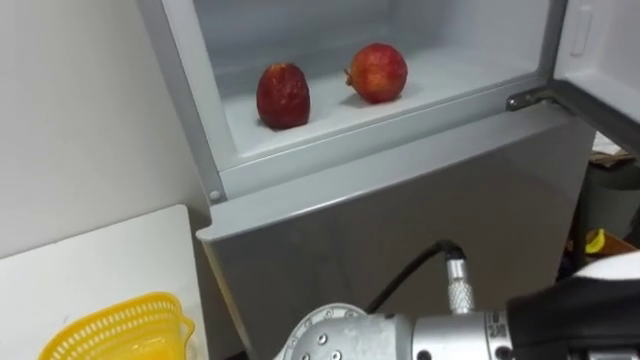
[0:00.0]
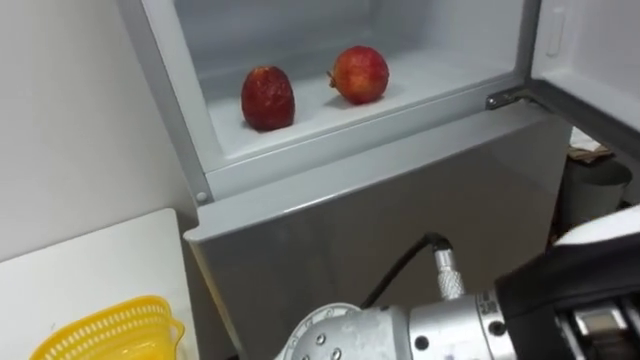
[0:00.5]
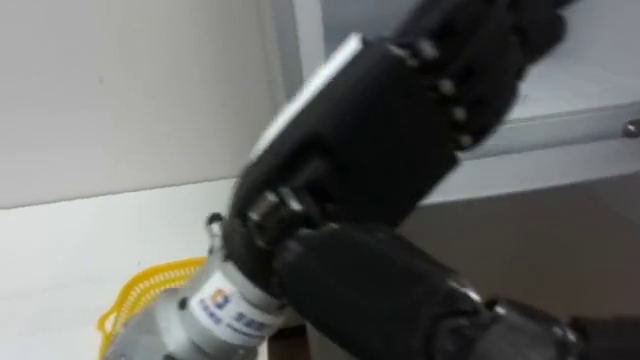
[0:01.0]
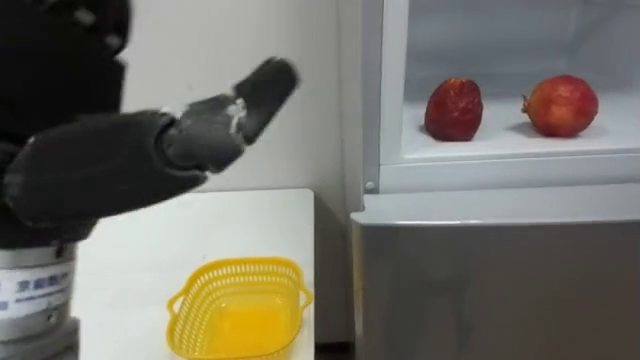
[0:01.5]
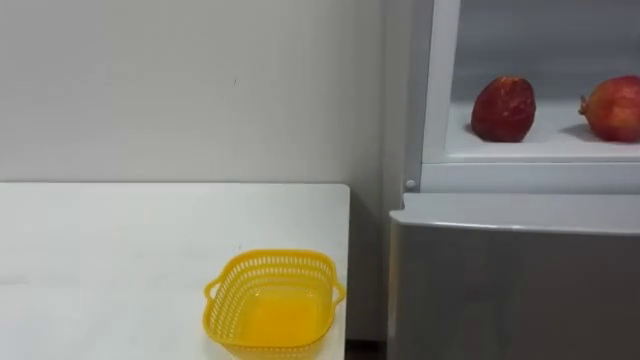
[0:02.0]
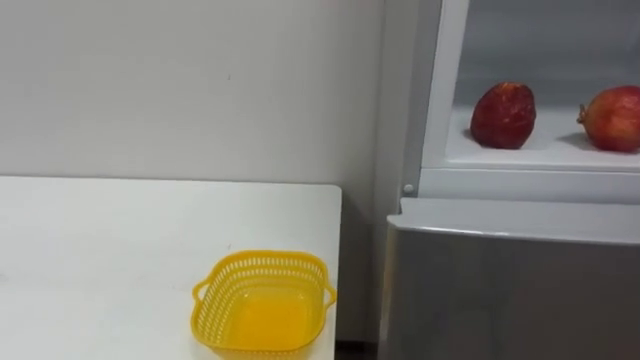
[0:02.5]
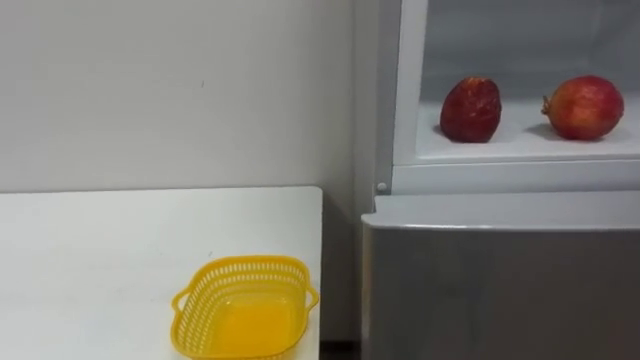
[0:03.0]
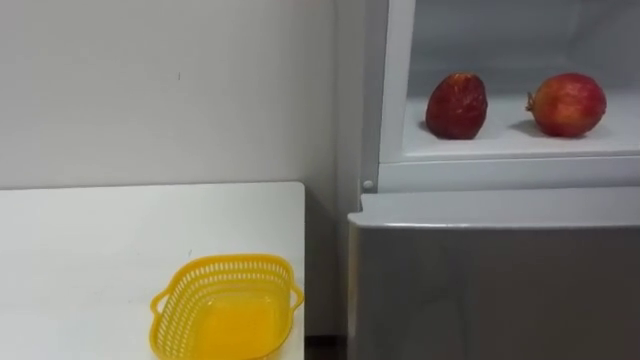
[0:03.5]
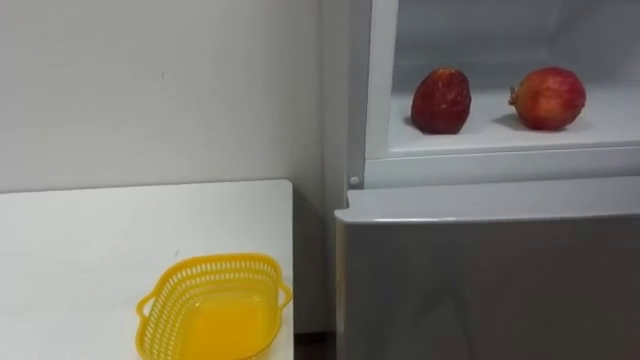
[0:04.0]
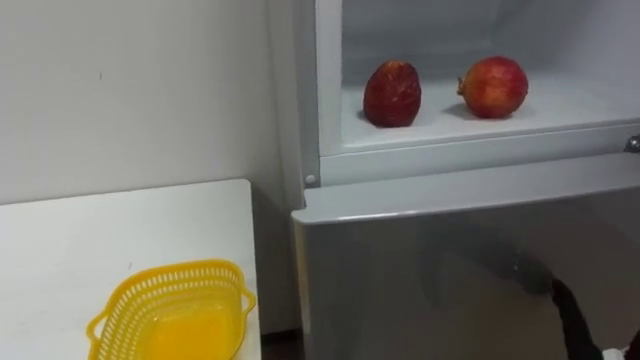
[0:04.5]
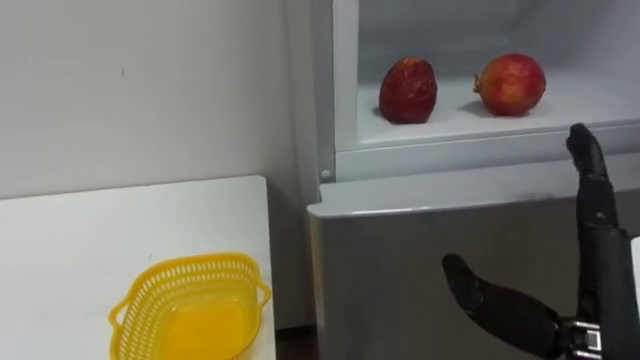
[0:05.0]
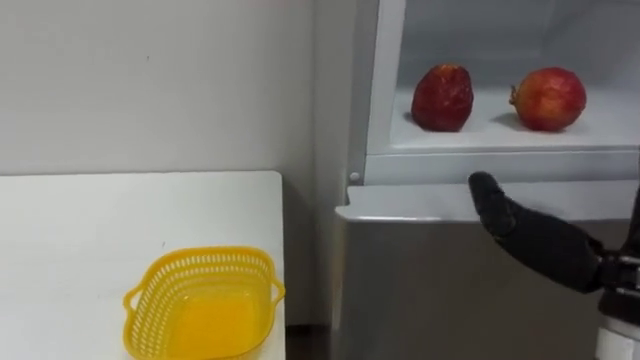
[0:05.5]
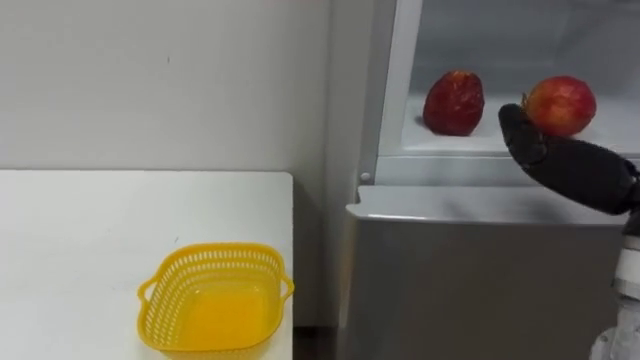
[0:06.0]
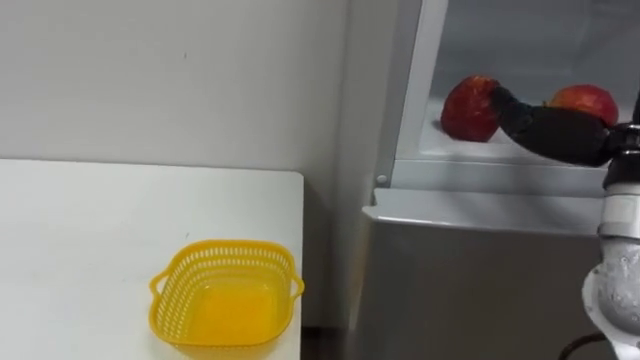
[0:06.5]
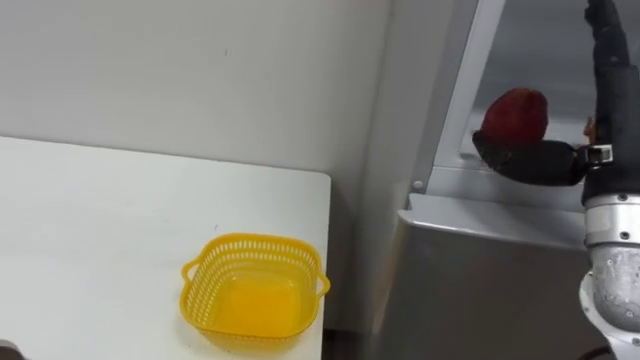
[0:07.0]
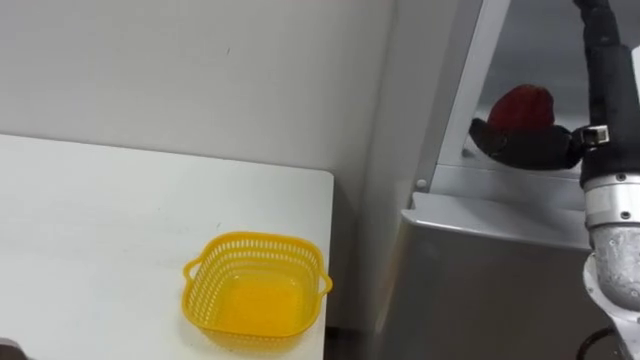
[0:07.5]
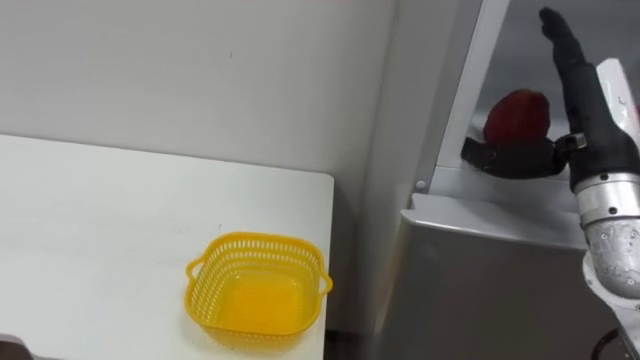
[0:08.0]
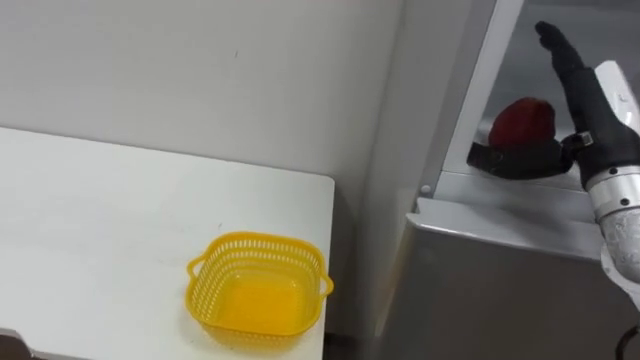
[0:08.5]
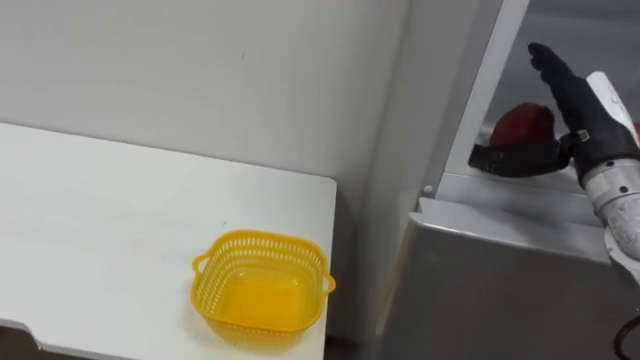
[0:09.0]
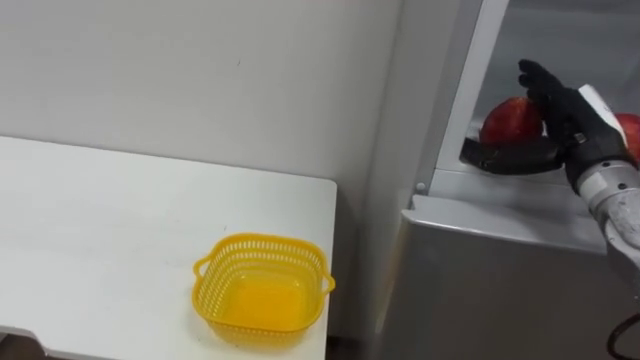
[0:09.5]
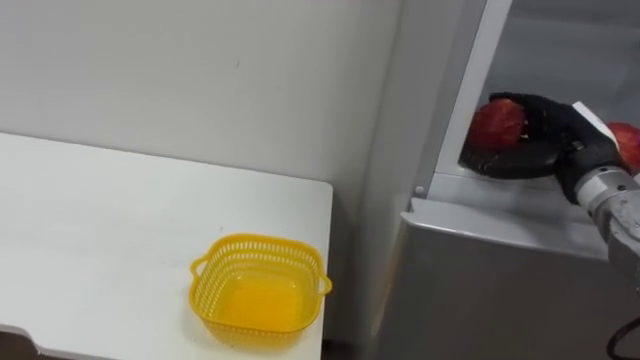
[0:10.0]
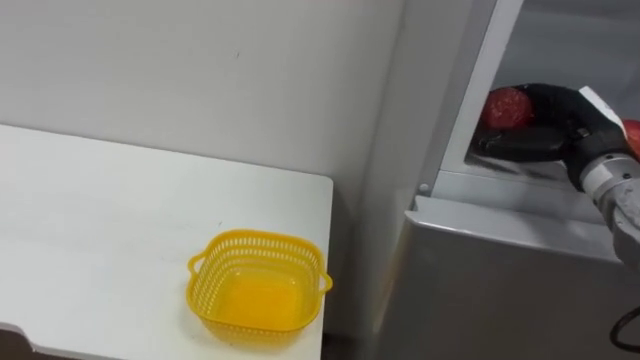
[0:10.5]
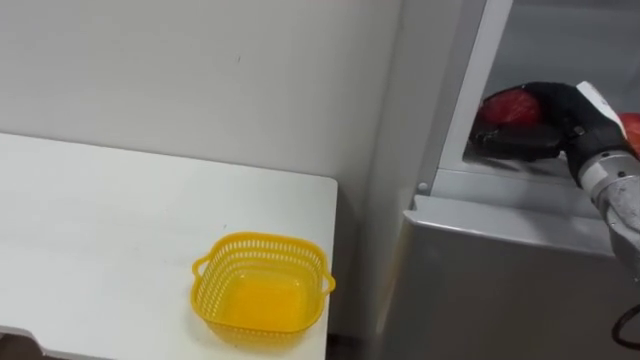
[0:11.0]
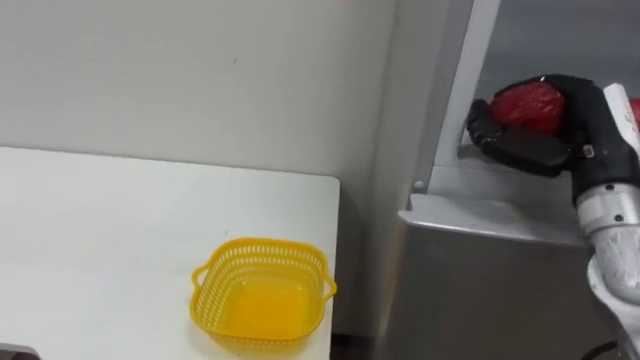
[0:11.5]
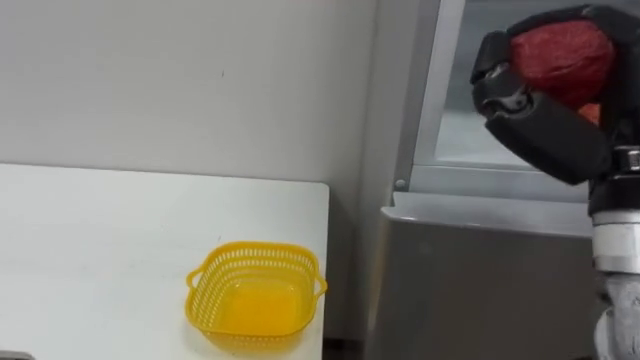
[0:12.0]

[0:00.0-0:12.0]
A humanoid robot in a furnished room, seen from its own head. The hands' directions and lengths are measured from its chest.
Task of the whole recording: Open the refrigerator door, take out the apple and the pomegranate, place them in the fruit basket on the left, and close the refrigerator door.
0:08.0 to 0:10.0: The right hand travels forward and downward by roughly 10 cm.
0:10.0 to 0:12.0: The right hand is displaced backward and upward by some 15 cm, and closes up.

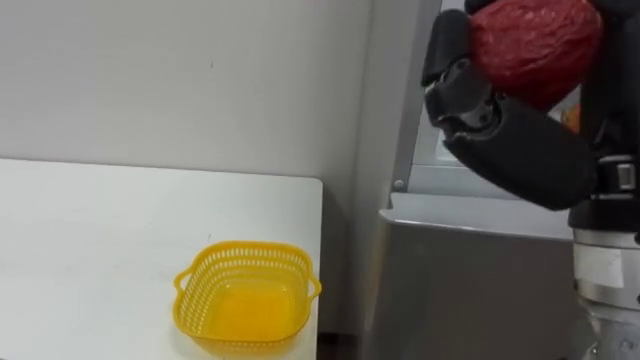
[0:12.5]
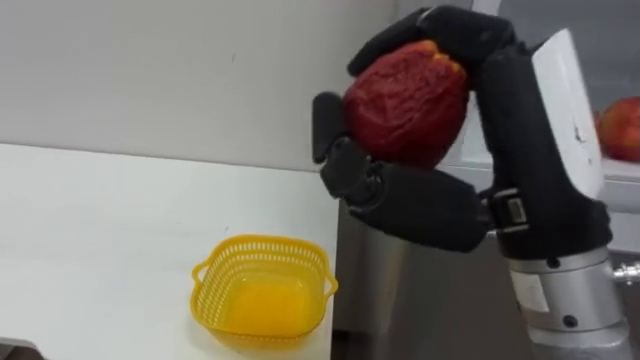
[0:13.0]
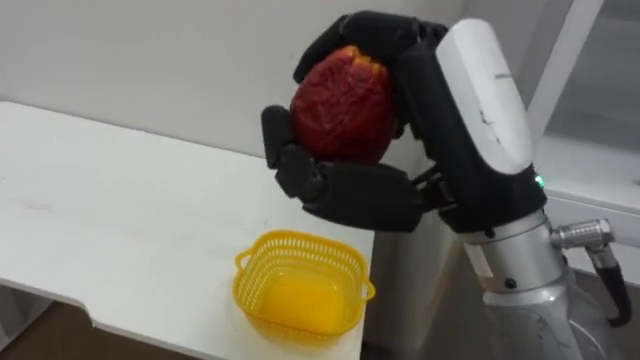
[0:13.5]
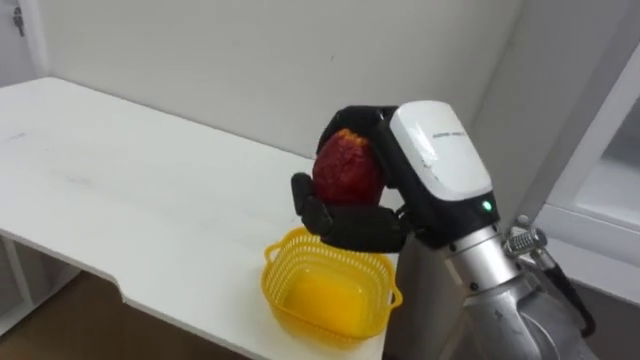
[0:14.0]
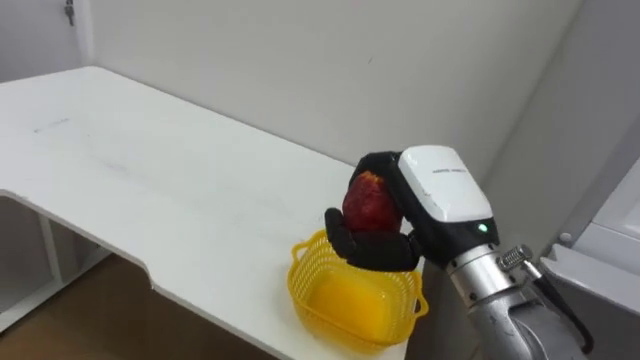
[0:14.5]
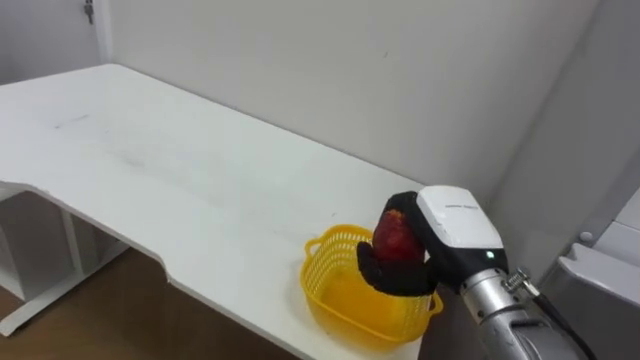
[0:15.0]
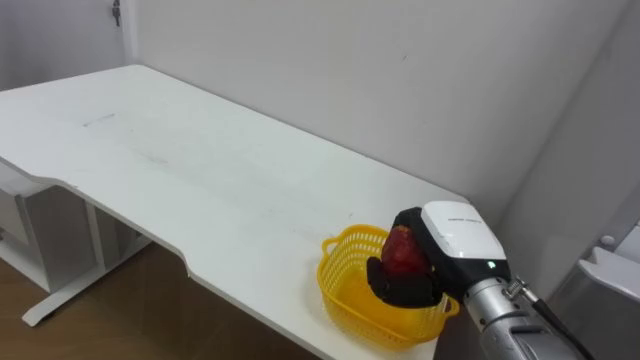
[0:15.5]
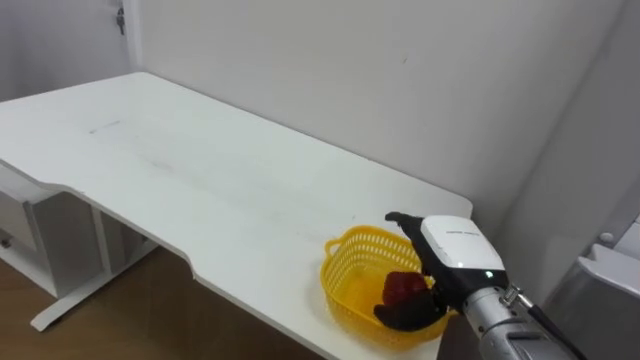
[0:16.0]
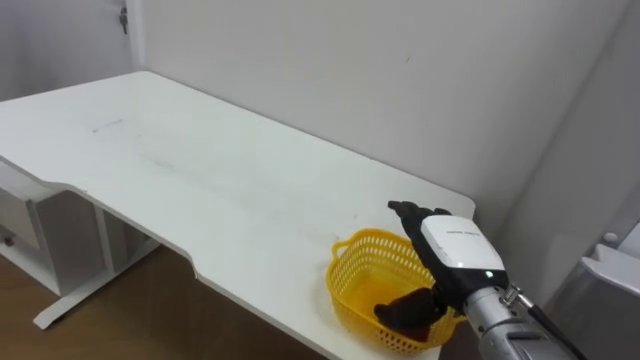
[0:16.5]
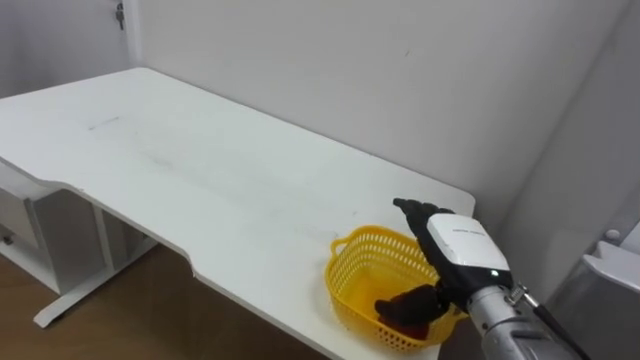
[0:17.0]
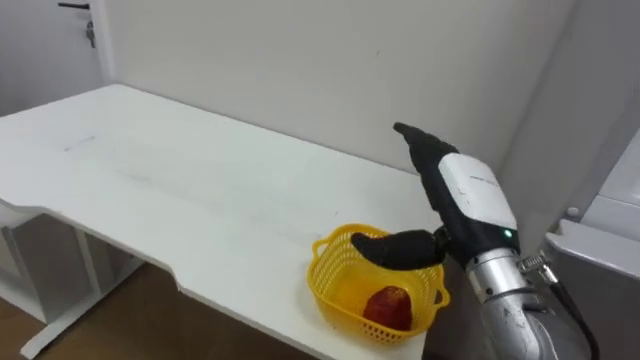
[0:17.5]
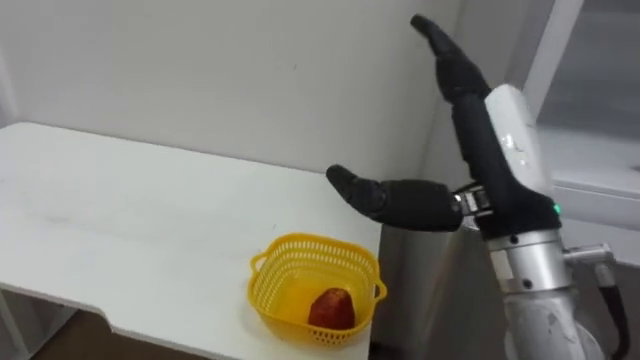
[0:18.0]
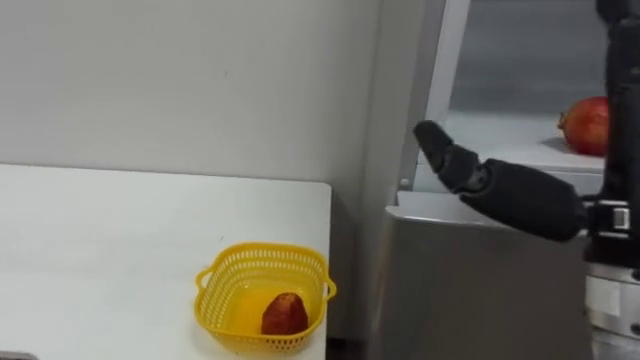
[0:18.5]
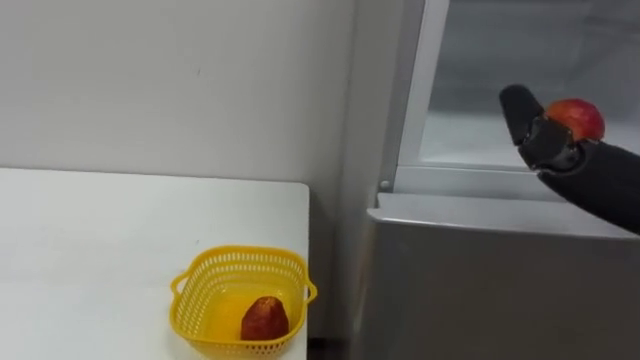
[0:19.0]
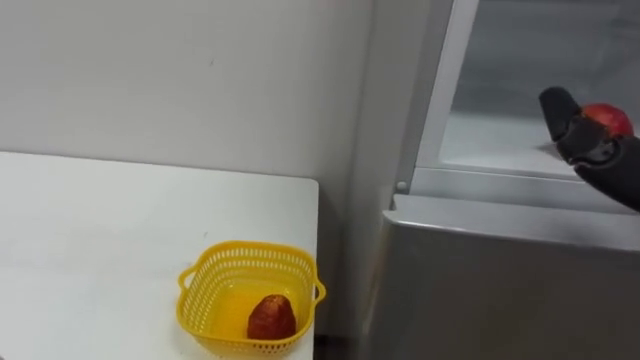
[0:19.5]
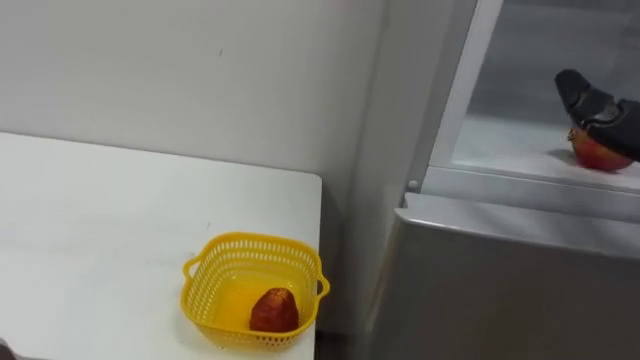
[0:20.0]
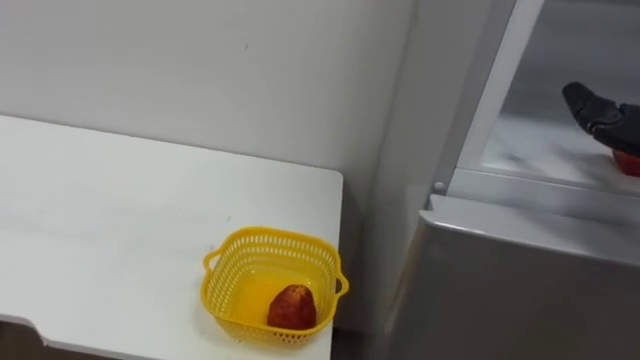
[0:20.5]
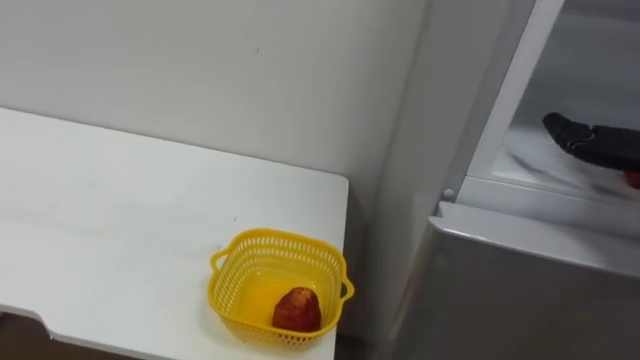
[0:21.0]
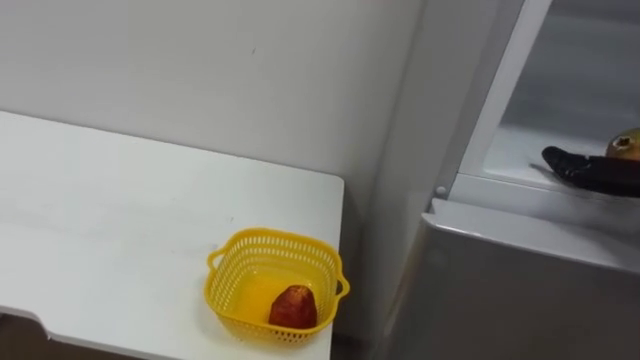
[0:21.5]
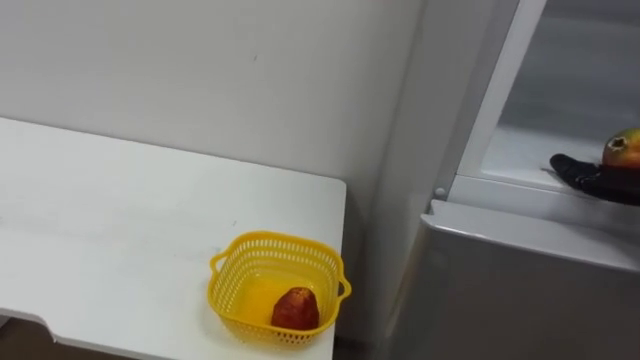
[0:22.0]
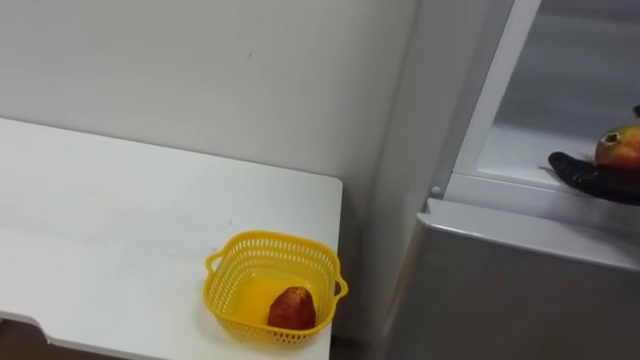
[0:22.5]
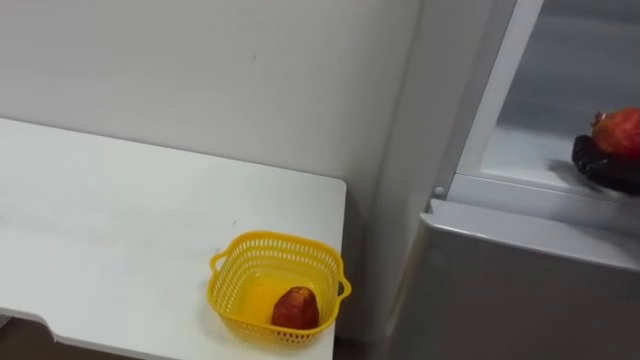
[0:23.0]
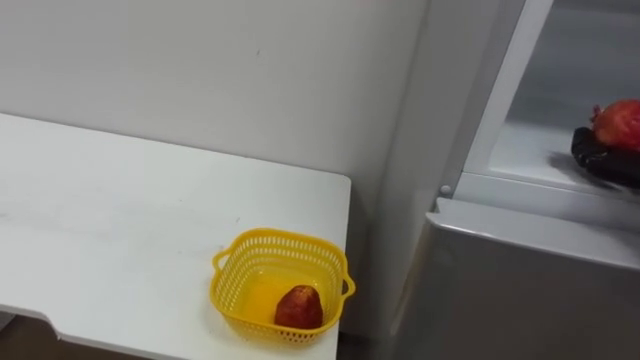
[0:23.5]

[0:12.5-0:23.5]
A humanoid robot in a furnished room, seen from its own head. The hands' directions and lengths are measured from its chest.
Task of the whole recording: Open the refrigerator door, take out the apple and the pomegranate, place them in the fruit basket on the left, and close the refrigerator door.
0:12.5 to 0:14.5: The right hand goes some 15 cm downward, forward and to the left.
0:14.5 to 0:16.0: The right hand travels downward by about 10 cm, and opens.
0:16.0 to 0:18.0: The right hand heads upward and backward, covering about 20 cm.
